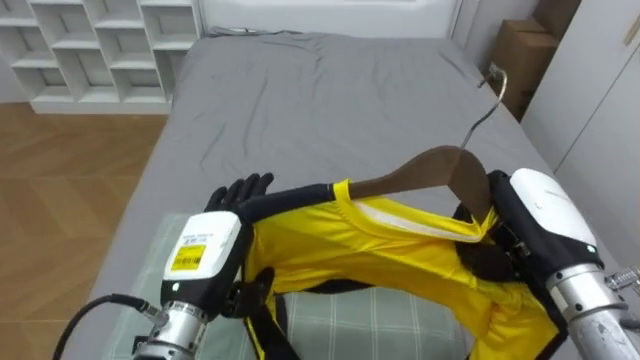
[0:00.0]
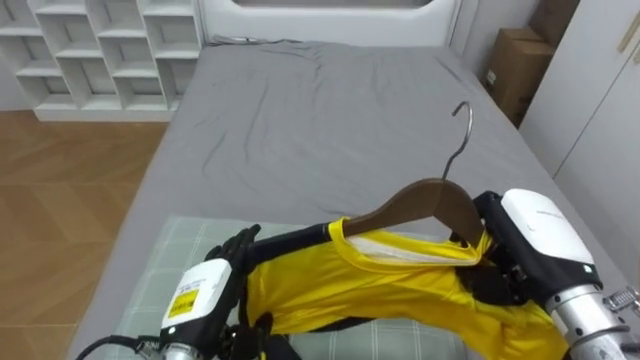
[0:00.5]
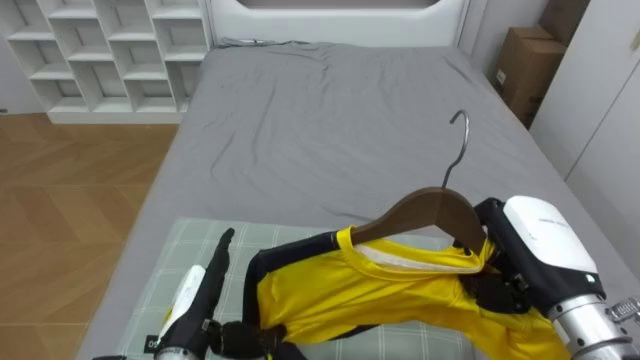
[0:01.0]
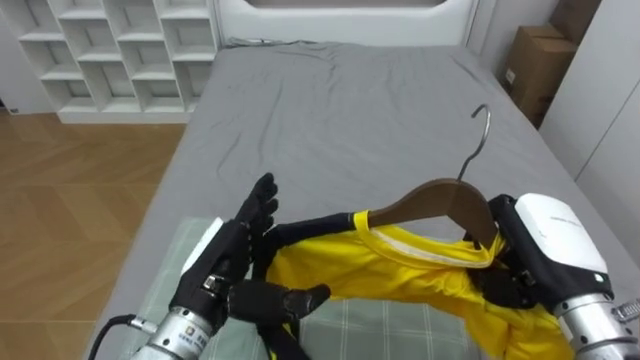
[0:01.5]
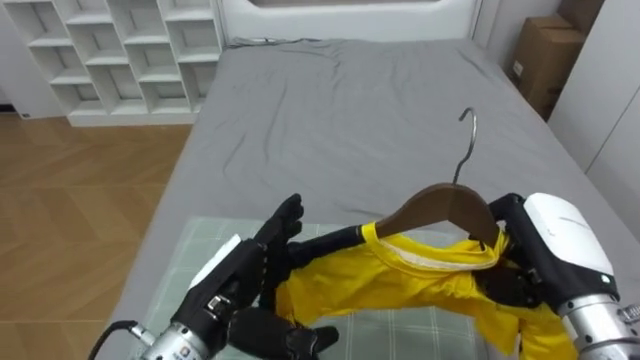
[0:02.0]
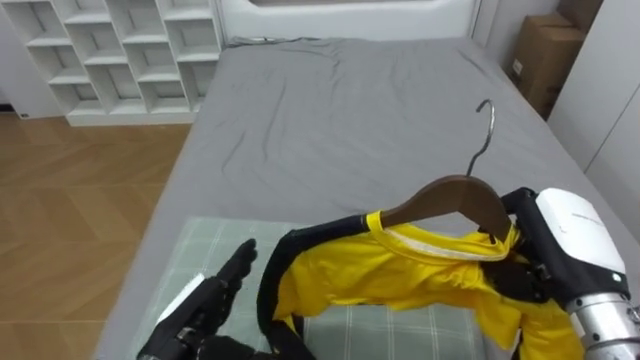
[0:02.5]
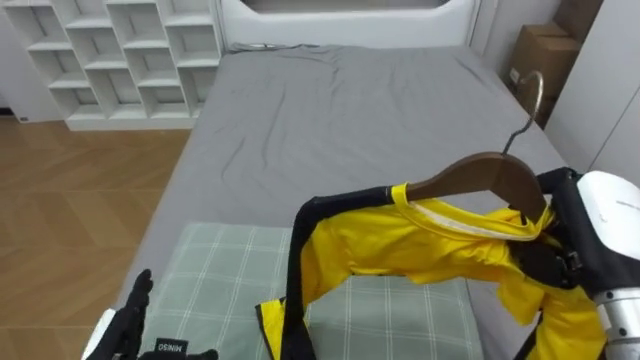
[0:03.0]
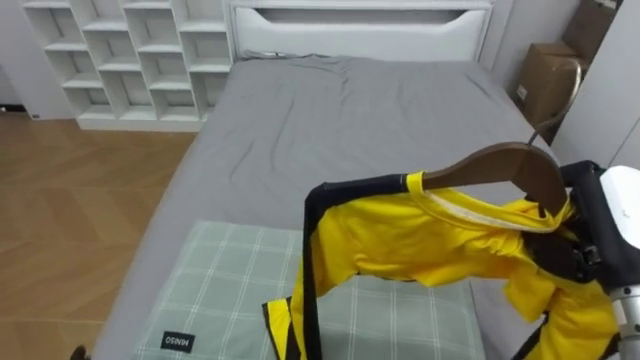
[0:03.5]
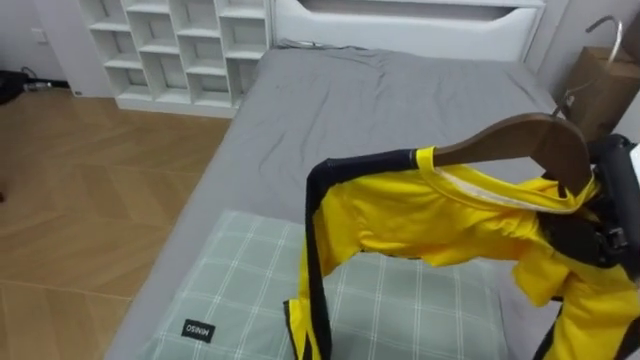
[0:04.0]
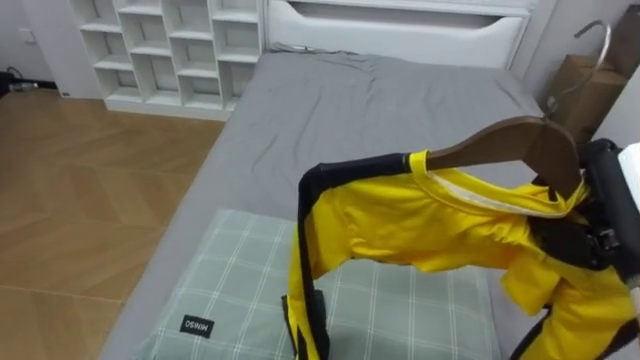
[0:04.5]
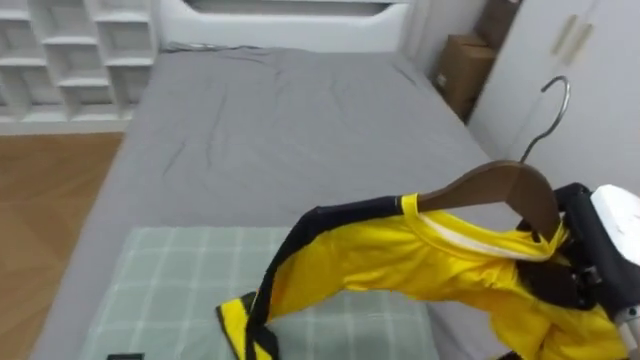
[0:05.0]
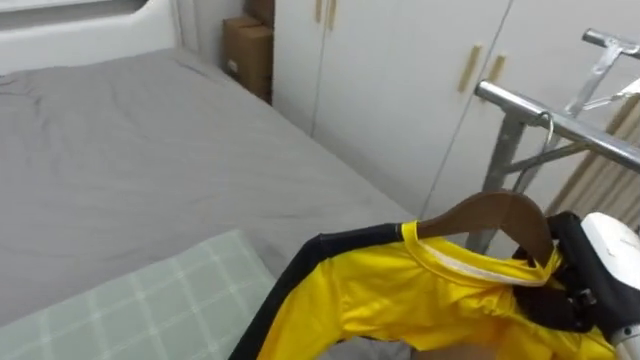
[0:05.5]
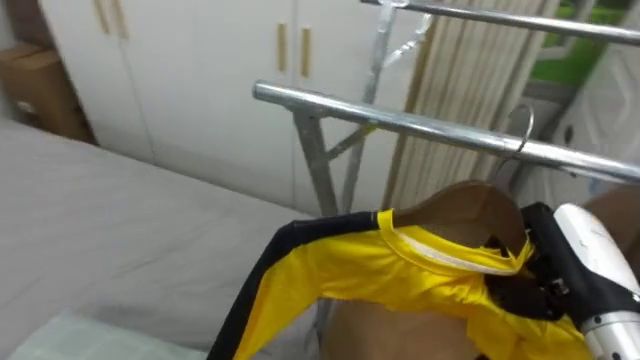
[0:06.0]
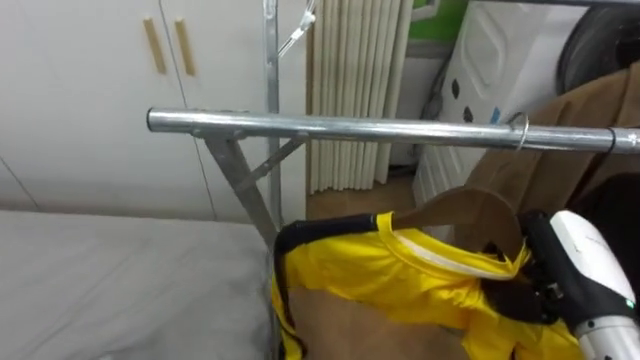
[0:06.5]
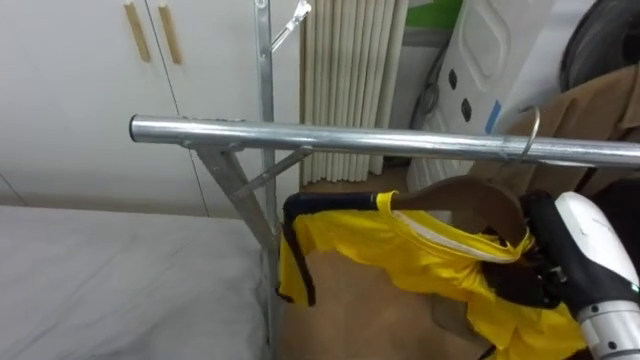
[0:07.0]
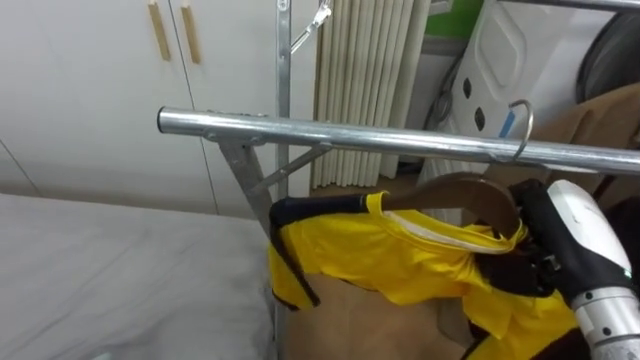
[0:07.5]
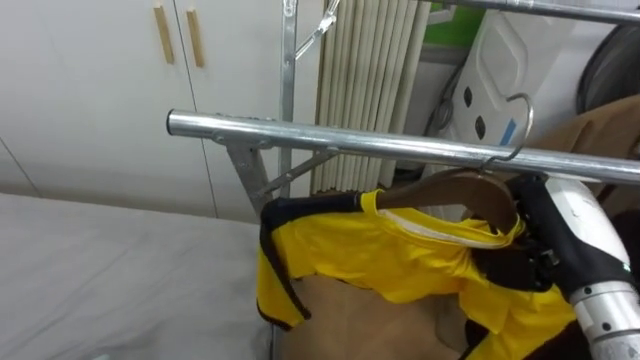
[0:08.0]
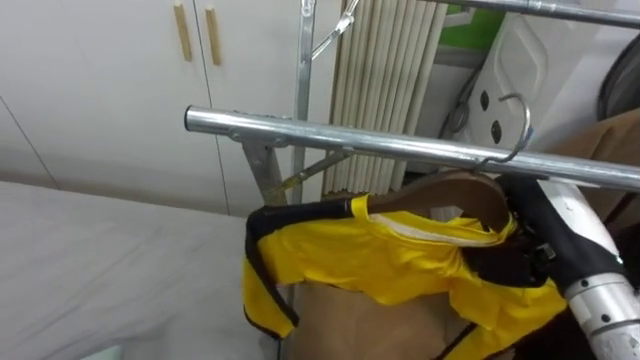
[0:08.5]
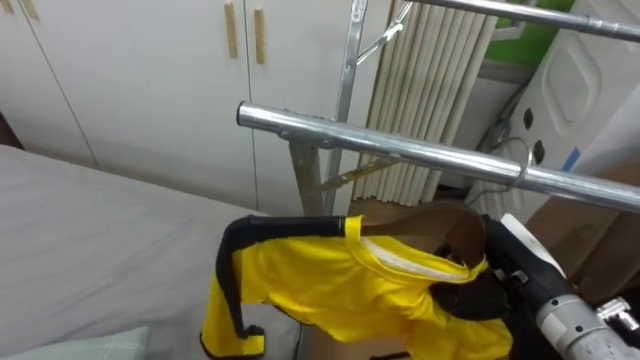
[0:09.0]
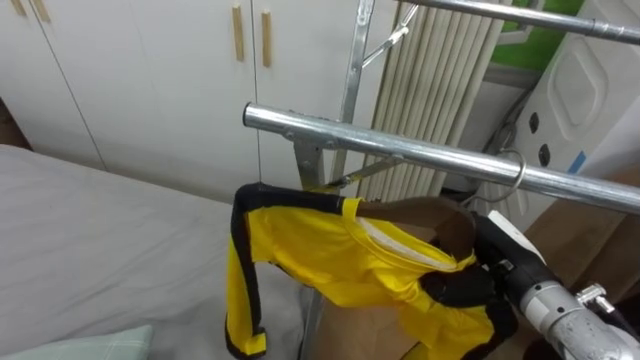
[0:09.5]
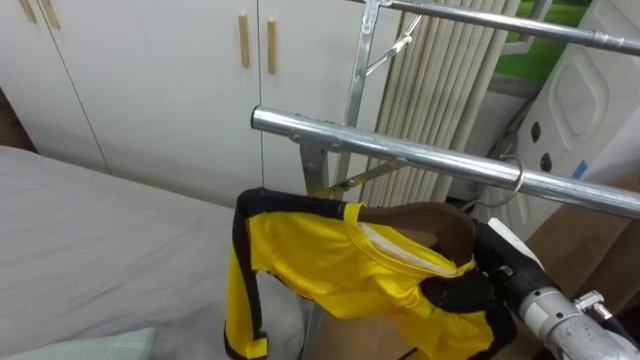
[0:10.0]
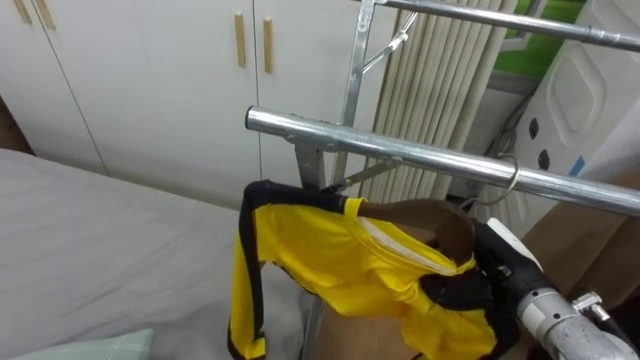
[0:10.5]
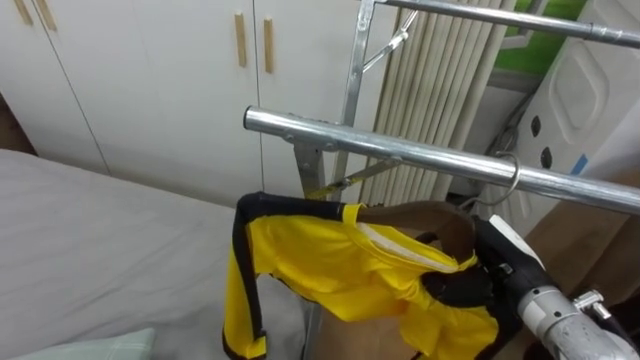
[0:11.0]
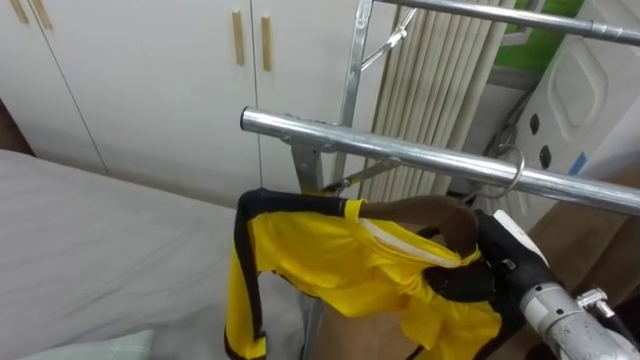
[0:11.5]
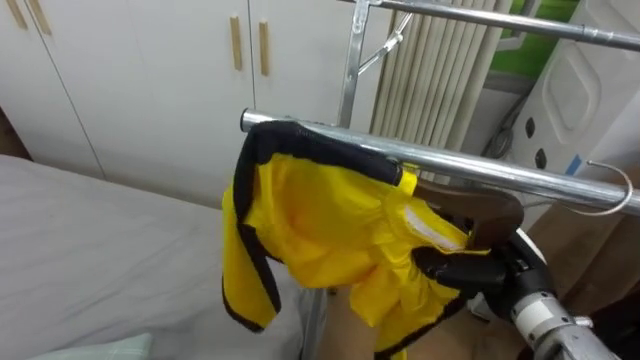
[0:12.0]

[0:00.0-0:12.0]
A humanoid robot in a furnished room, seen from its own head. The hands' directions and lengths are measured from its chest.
Task of the whole recording: Pick up the yellow shirt on the bed and hang it on the clothes rack on the right.
0:00.0 to 0:02.0: The left hand travels downward and back again, approximately 10 cm each way.
0:02.0 to 0:04.0: The right hand is displaced upward by some 5 cm.
0:04.0 to 0:06.0: The robot turns to its right by about 70 degrees. The right hand shifts about 5 cm downward.
0:06.0 to 0:08.0: The robot turns to its right by roughly 20 degrees.
0:08.0 to 0:10.0: The right hand goes about 10 cm downward.

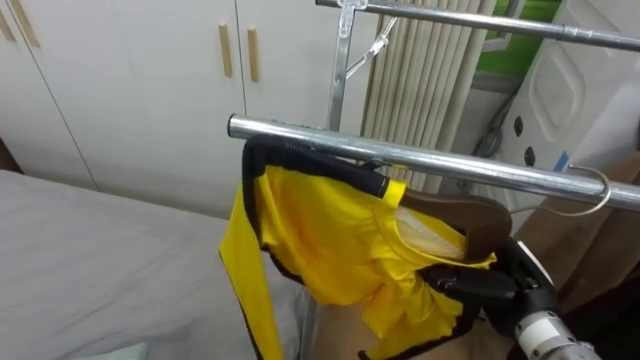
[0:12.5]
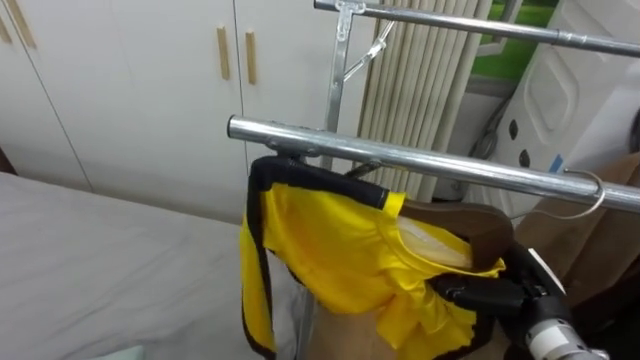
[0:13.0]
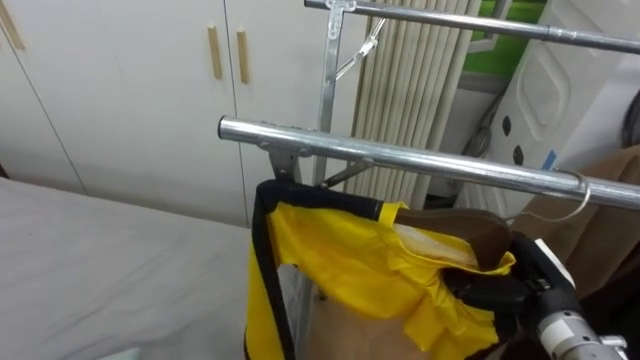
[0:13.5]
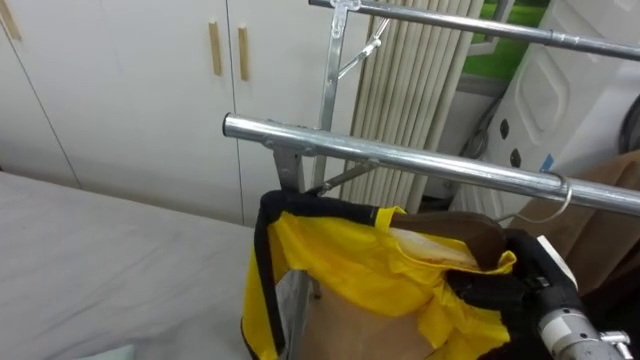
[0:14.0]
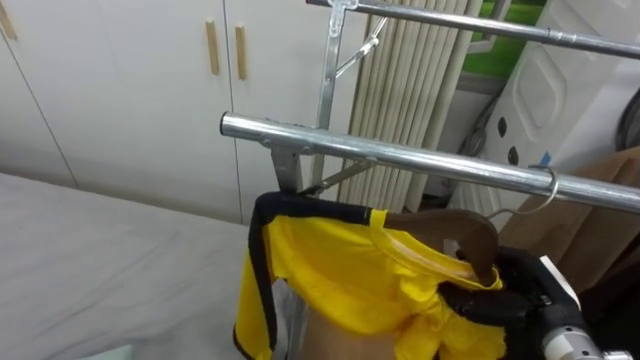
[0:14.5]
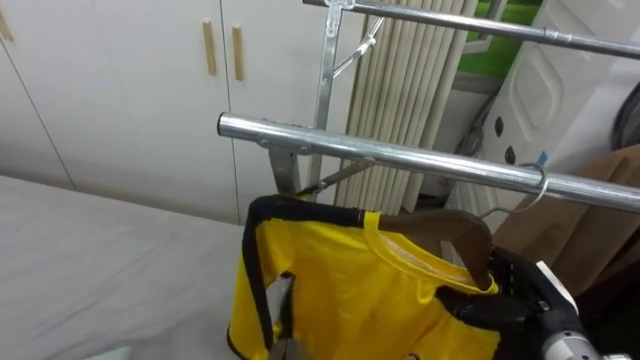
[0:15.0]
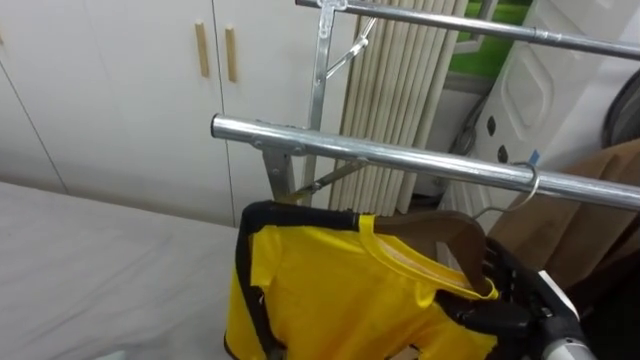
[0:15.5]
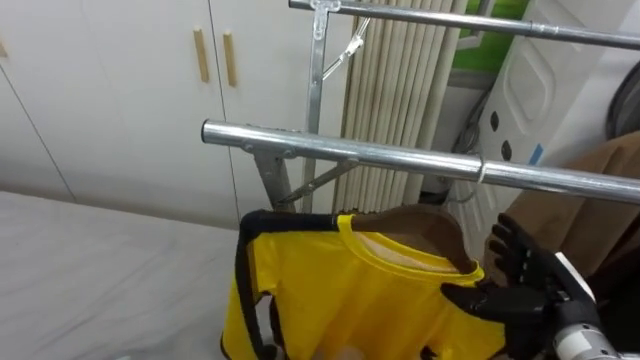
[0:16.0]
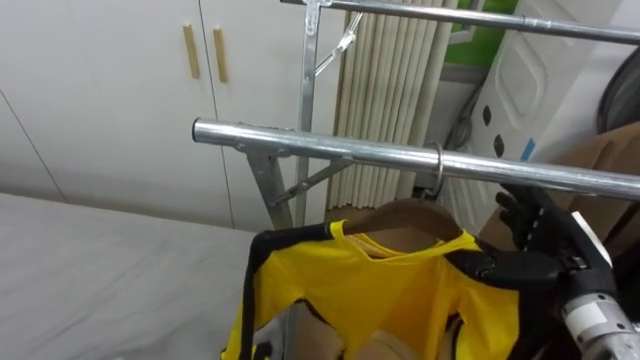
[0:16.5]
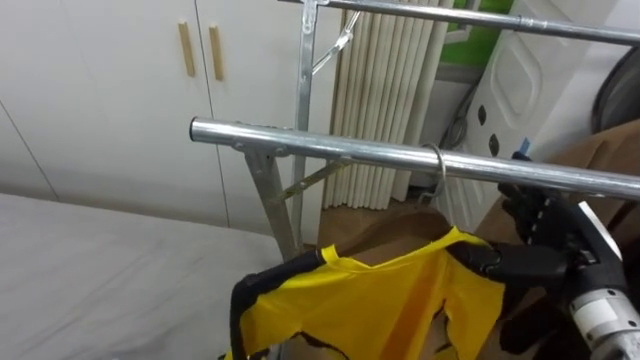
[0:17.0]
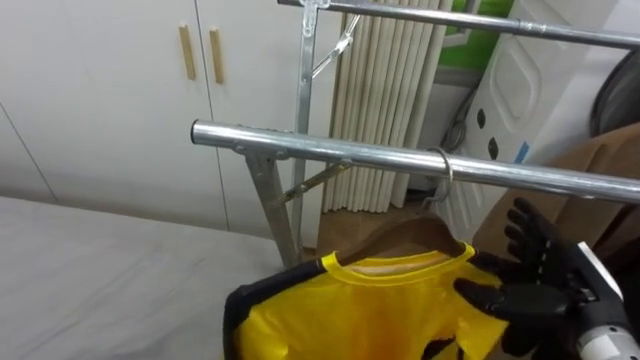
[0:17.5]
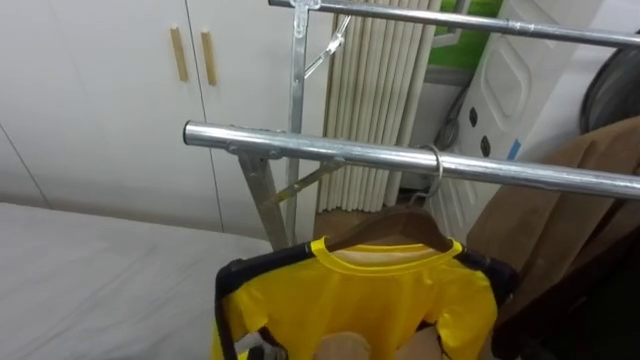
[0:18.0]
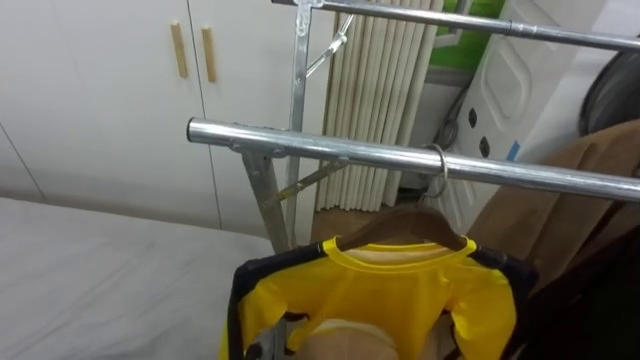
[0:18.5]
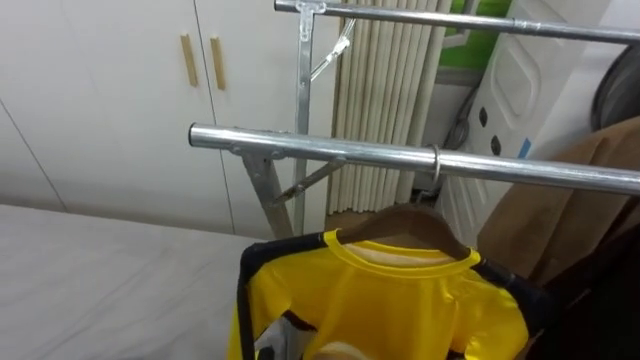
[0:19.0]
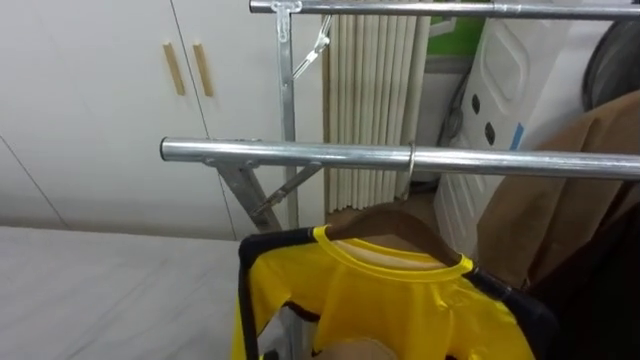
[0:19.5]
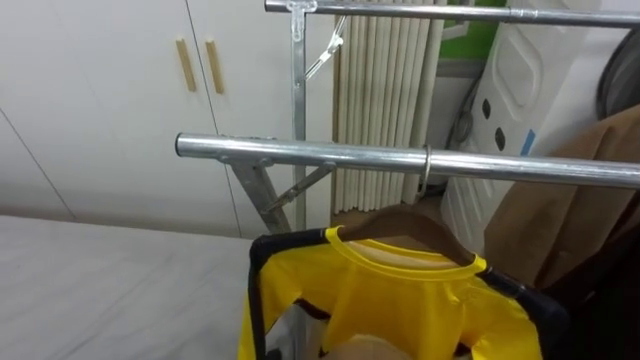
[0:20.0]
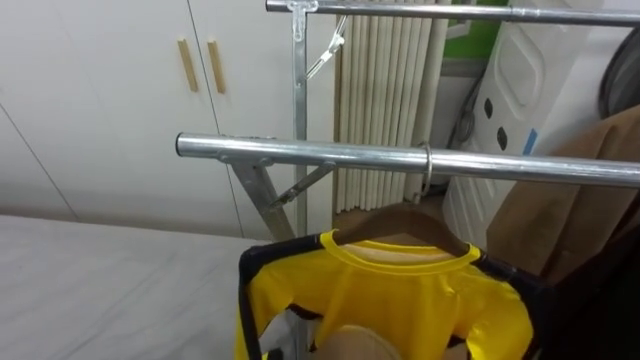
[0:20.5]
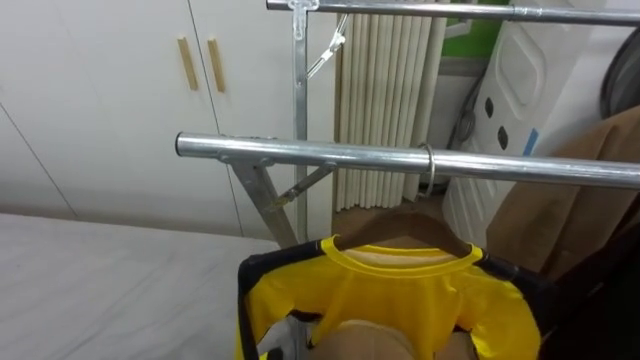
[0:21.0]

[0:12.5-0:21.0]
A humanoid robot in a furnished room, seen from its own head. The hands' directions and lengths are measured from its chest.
Task of the whole recording: Pick up the yellow shirt on the bed and hang it on the clothes rack on the right.
0:14.5 to 0:16.5: The right hand heads upward, covering some 5 cm, and opens.
